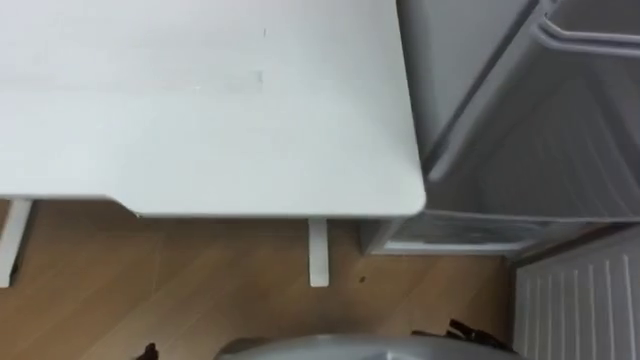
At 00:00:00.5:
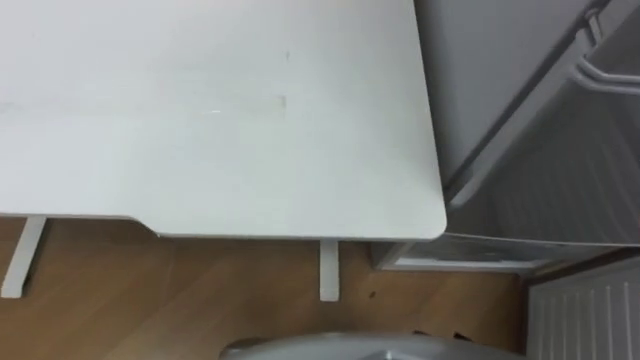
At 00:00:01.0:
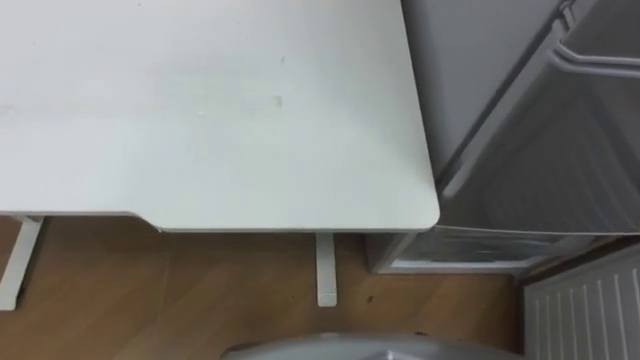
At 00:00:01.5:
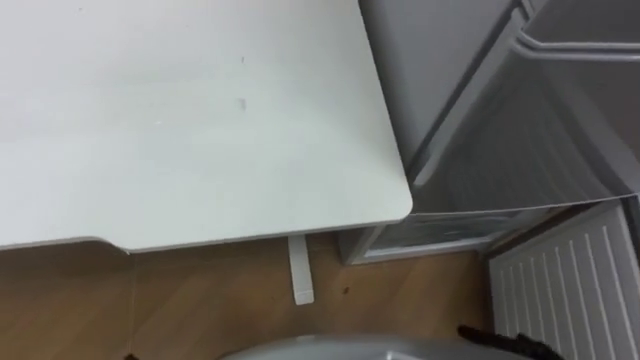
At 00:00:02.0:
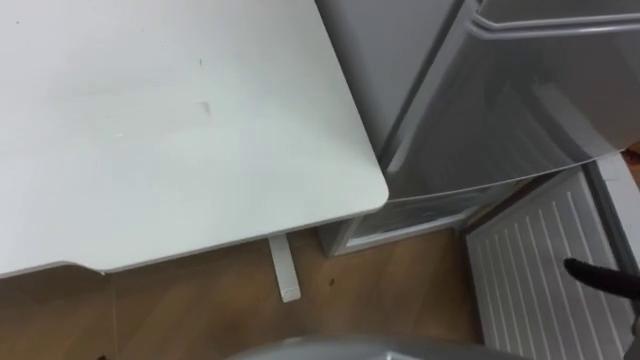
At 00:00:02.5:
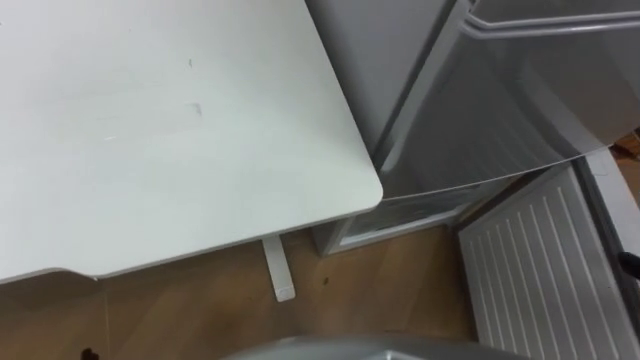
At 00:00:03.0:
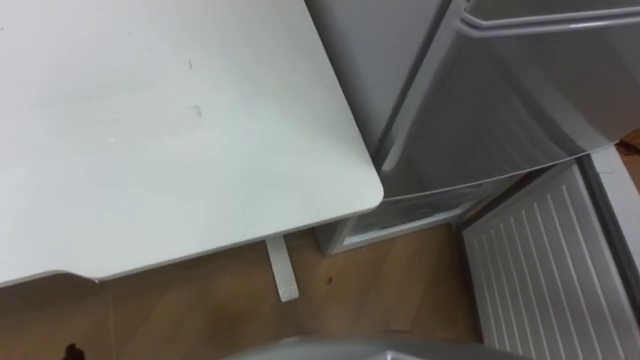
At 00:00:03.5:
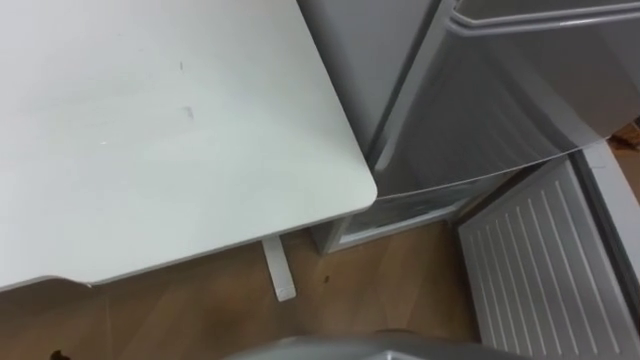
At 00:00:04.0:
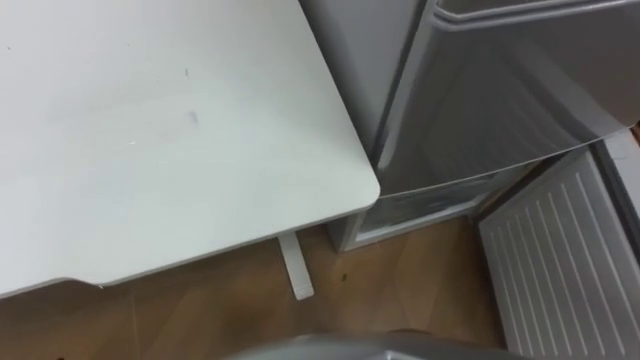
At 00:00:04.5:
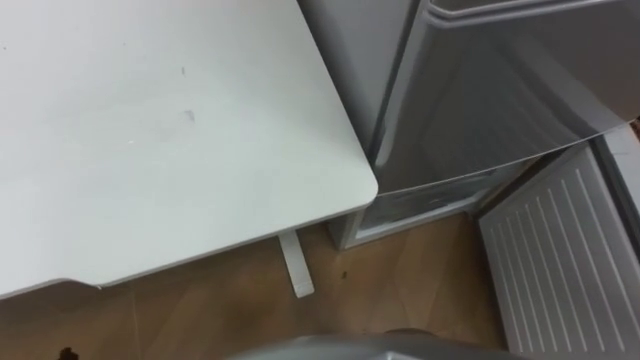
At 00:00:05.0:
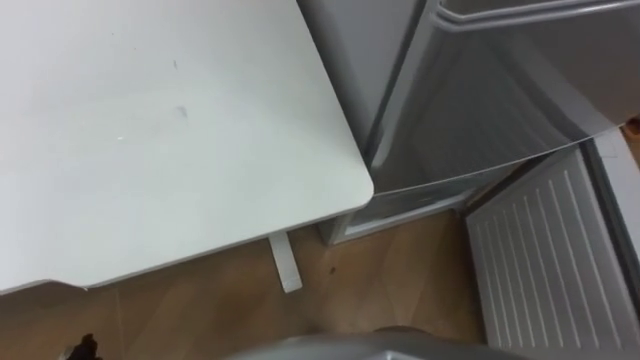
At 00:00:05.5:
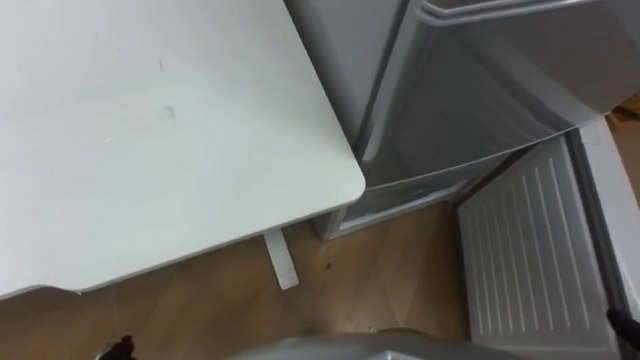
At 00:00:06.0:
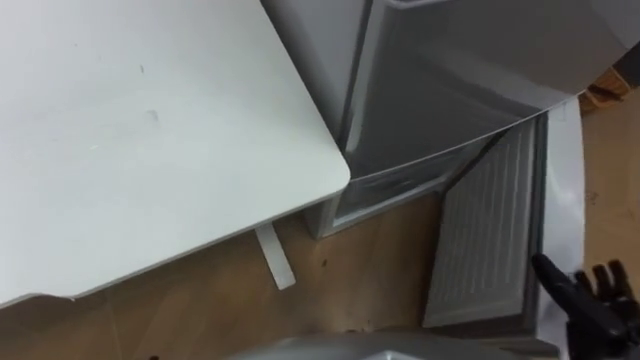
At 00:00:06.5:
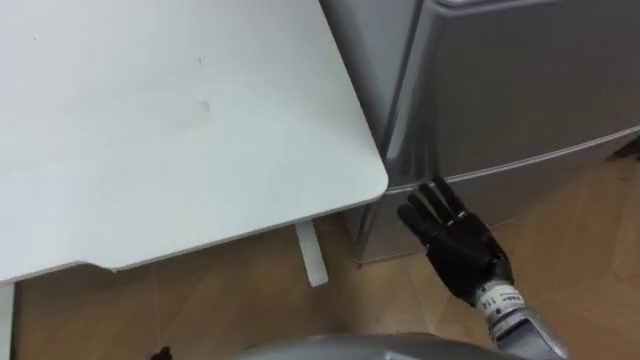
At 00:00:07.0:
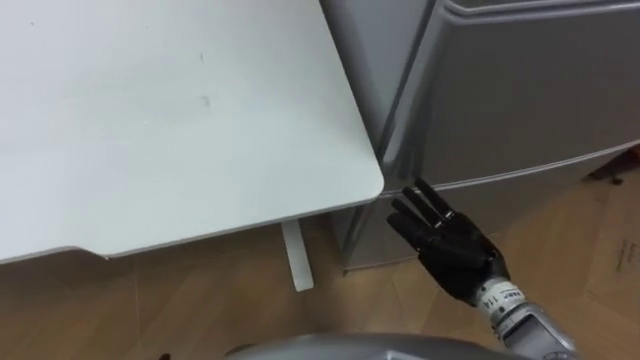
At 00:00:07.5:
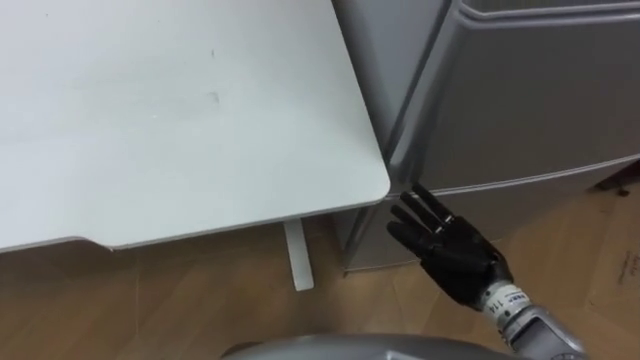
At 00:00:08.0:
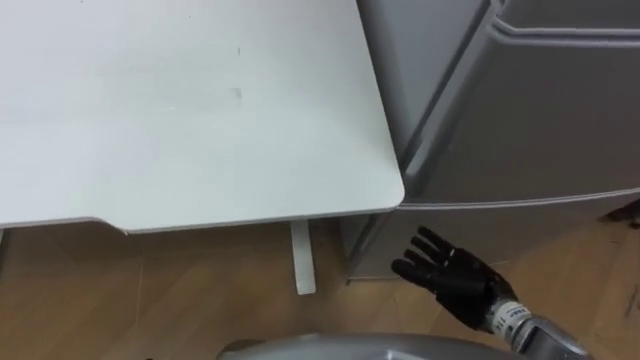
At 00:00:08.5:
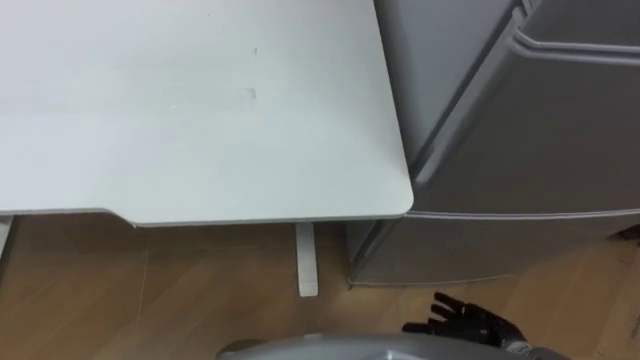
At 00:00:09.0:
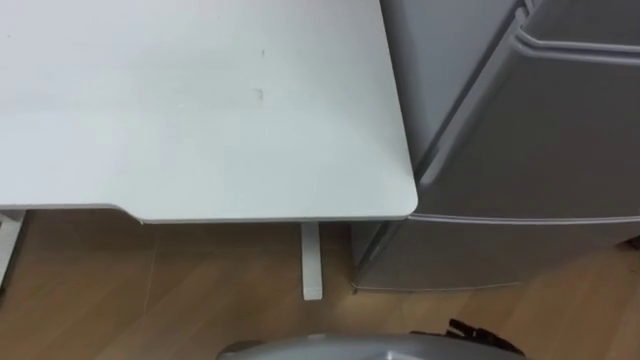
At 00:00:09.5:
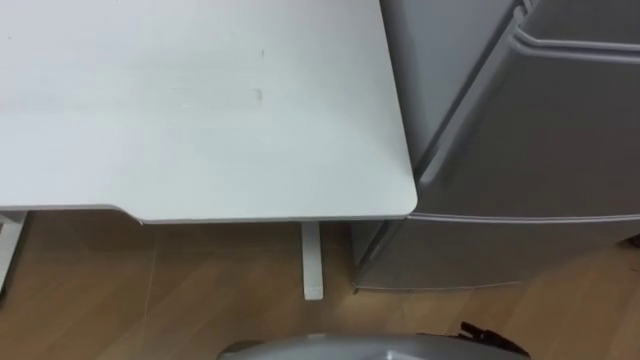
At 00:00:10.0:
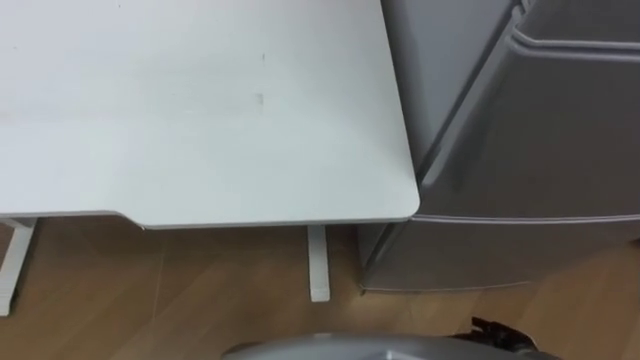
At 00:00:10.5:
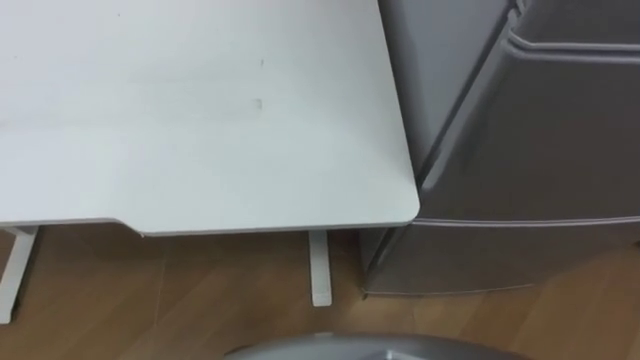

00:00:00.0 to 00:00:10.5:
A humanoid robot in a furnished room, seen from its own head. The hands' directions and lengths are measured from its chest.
Task of the whole recording: Place the drink on the table on the bottom shelf of the refrigerator, then close the drawer and the refrigerator door.
00:00:06.5 to 00:00:08.5: The right hand goes roughly 15 cm downward and backward.

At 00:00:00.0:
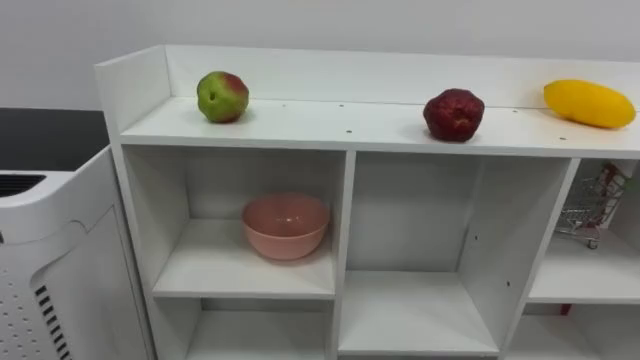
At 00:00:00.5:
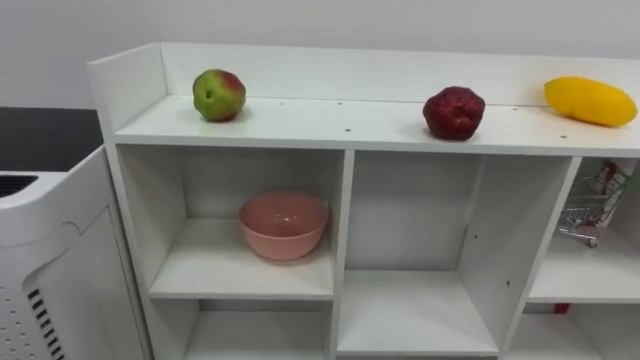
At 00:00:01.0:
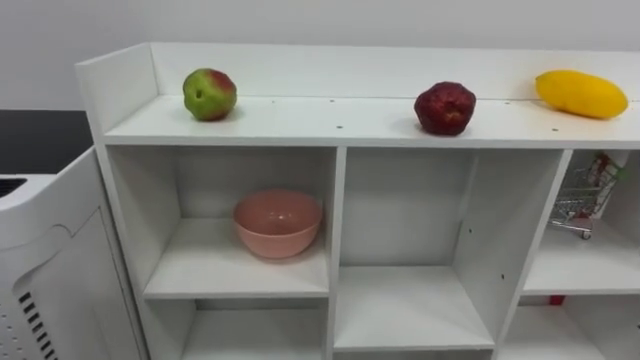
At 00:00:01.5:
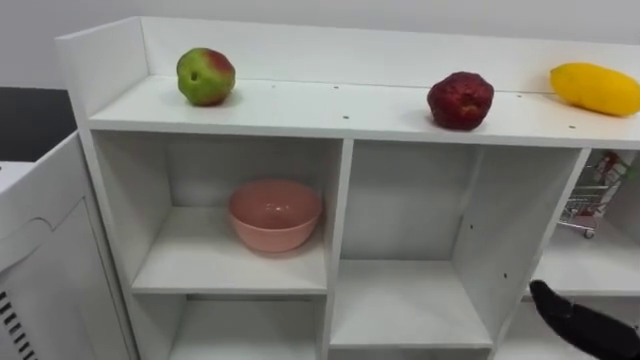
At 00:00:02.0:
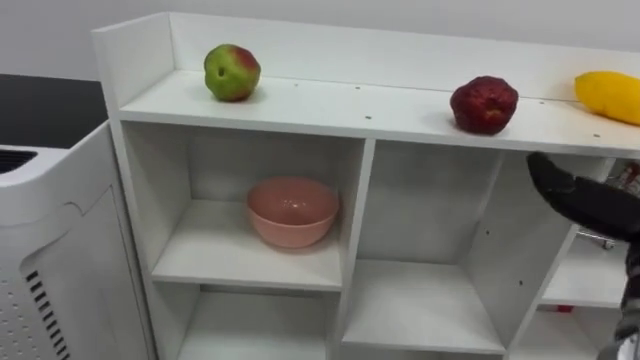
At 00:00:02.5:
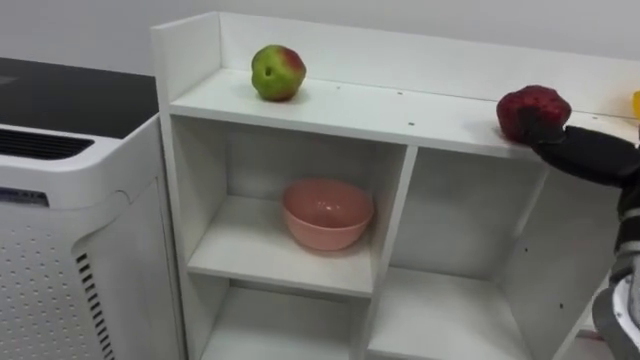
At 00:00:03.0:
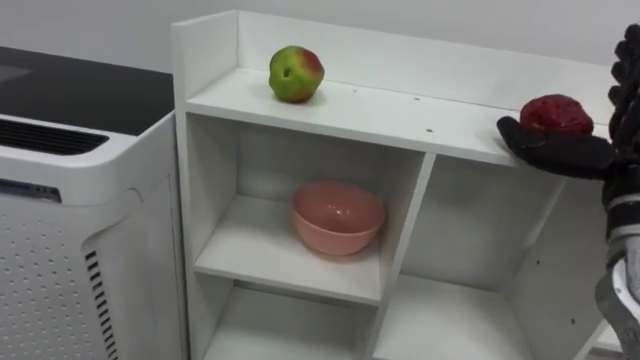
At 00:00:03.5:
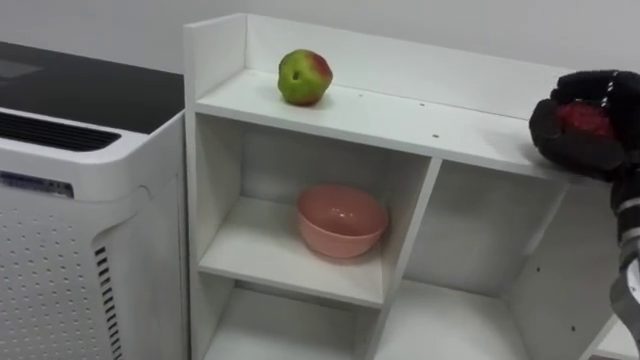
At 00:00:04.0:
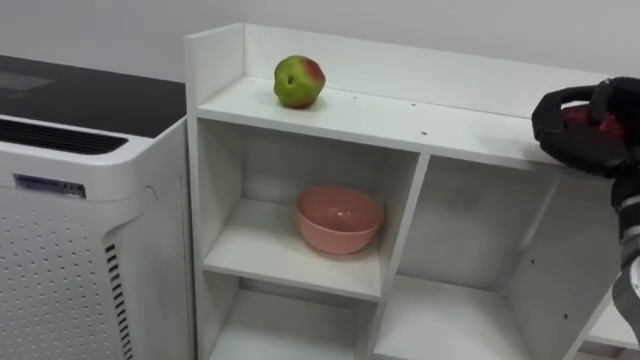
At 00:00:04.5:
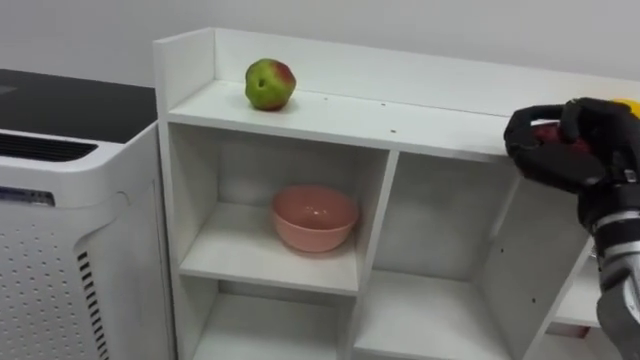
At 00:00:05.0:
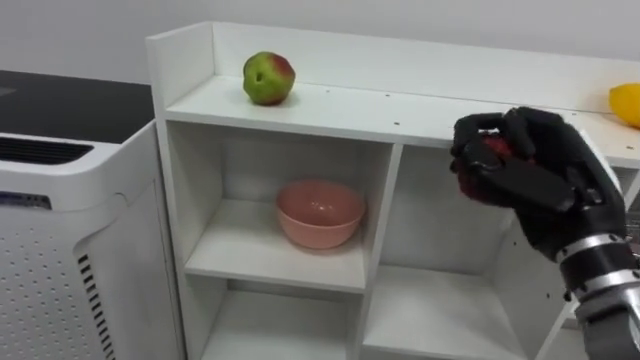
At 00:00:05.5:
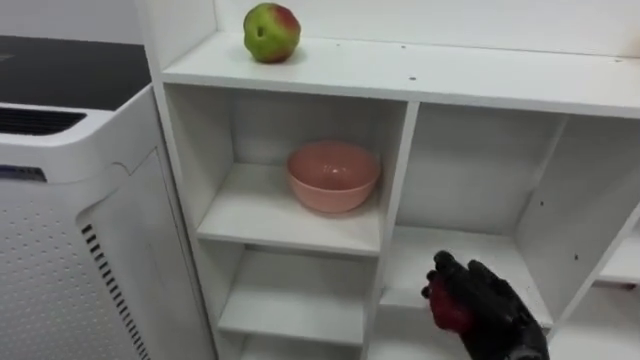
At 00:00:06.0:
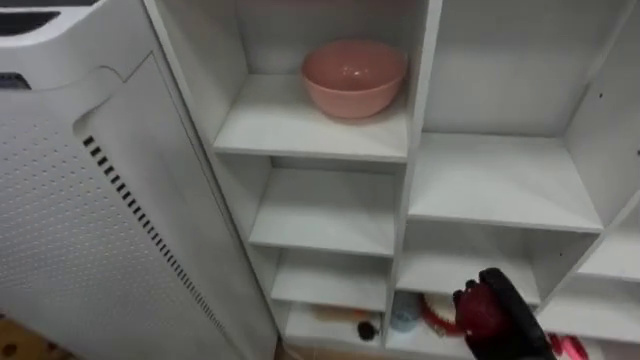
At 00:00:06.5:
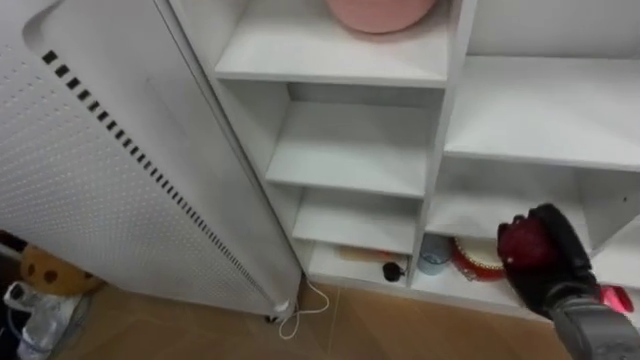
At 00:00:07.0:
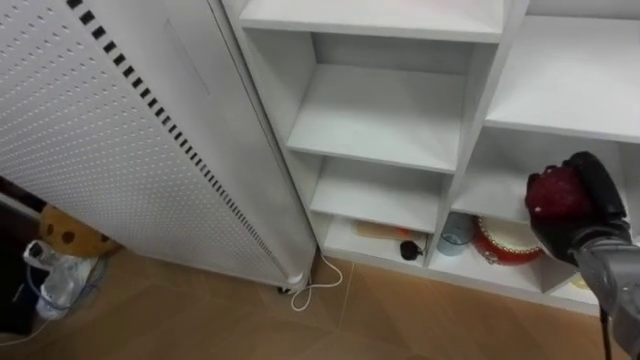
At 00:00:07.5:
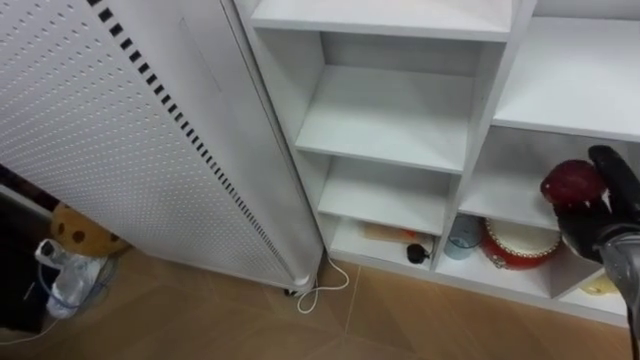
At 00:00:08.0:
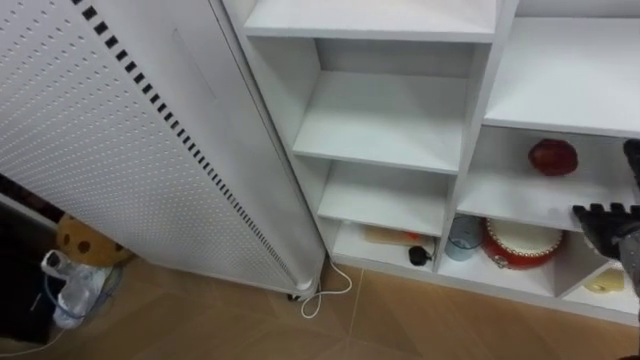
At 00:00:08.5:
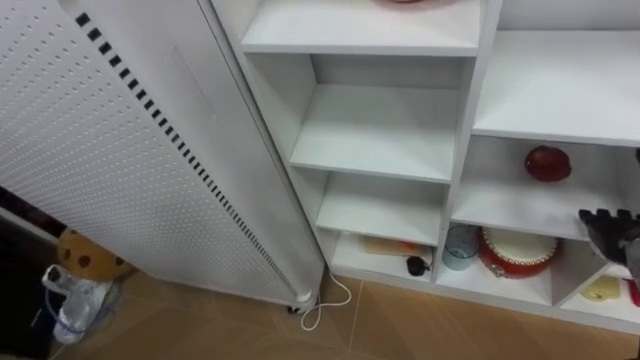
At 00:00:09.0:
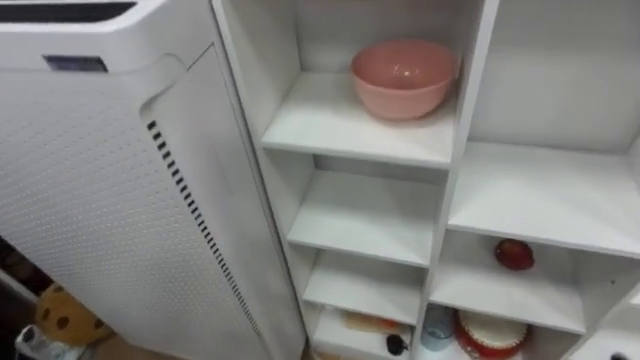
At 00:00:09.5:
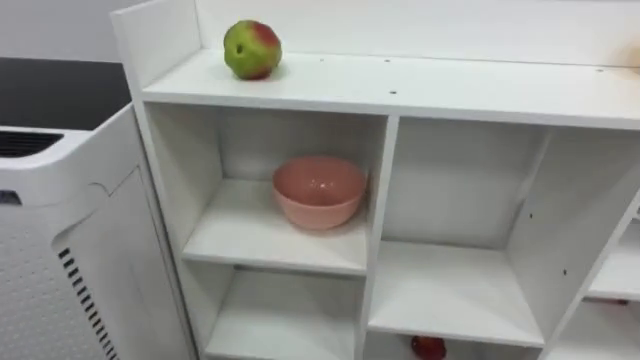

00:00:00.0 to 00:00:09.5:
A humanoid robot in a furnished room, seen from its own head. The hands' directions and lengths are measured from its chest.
Task of the whole recording: Put the apple in the cell in the second column from the left and the second row from the top.
00:00:04.0 to 00:00:05.5: The right hand travels downward and to the left by roughly 20 cm.
00:00:05.5 to 00:00:07.5: The right hand heads to the right, upward and forward, covering some 15 cm, and opens its fingers.
